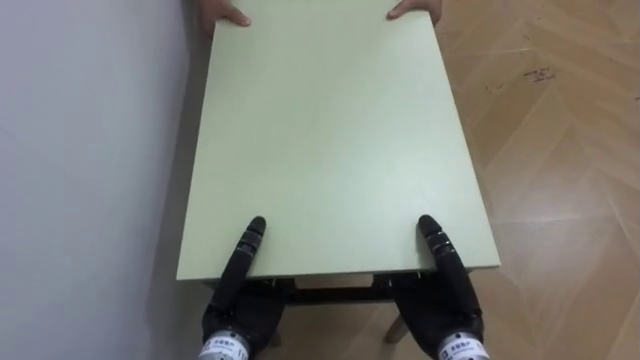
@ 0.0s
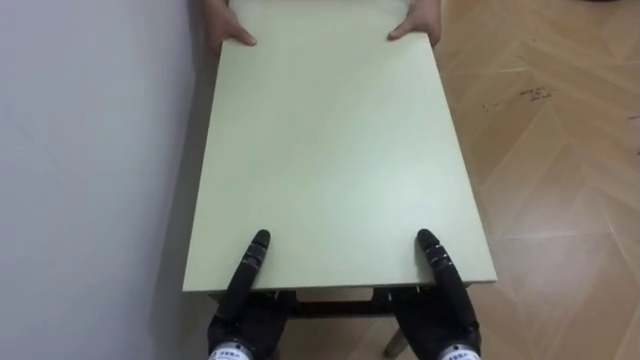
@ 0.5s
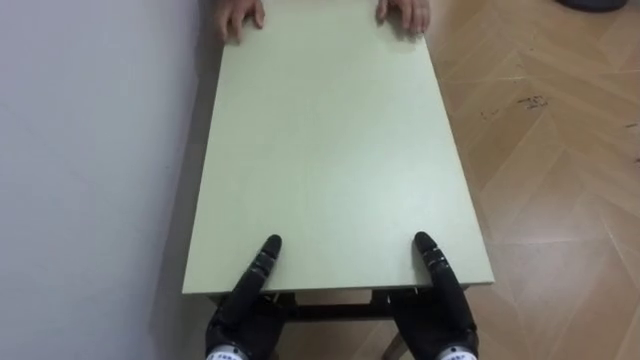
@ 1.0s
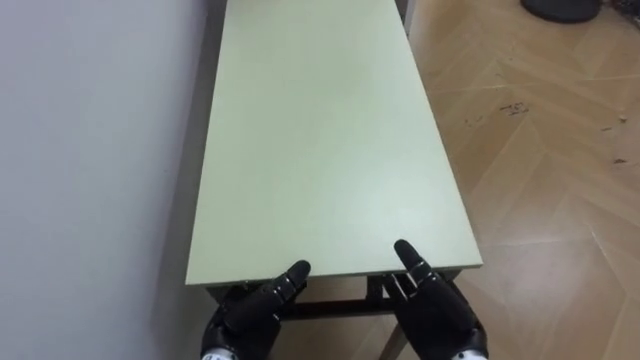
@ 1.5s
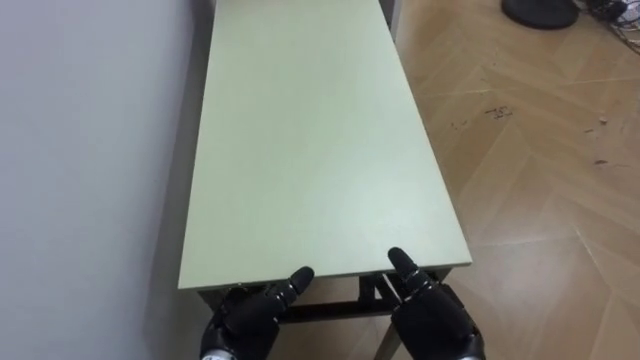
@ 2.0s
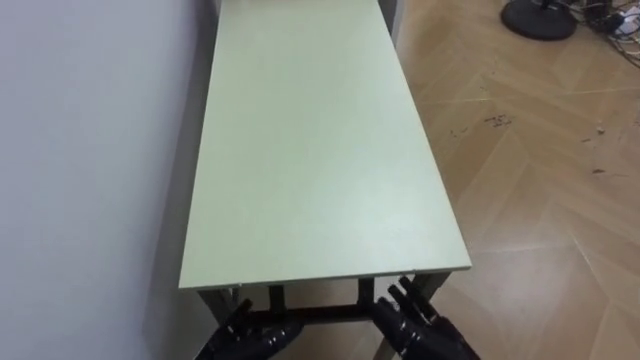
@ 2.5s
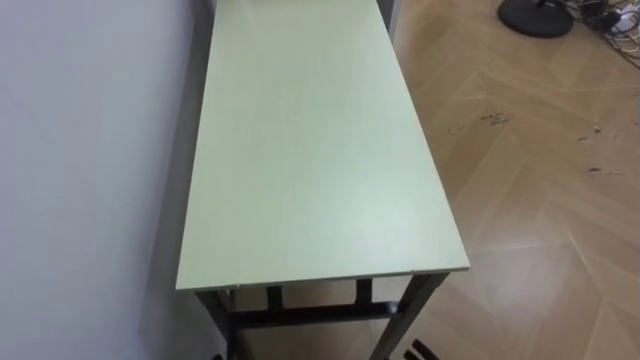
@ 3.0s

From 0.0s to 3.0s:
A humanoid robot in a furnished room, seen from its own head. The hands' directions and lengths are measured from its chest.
Task of the whole recording: Move the table to the back left with someone.
From 0.0s to 1.5s: The left hand opens. Meanwhile the right hand opens up.

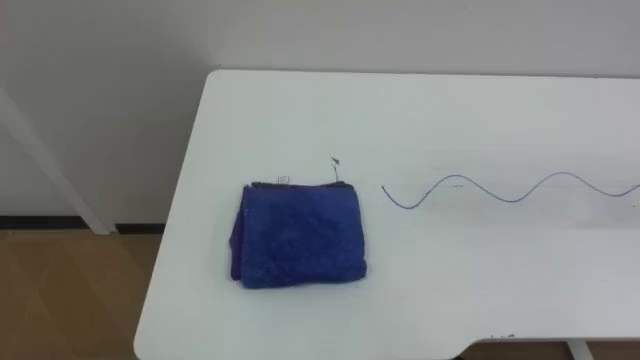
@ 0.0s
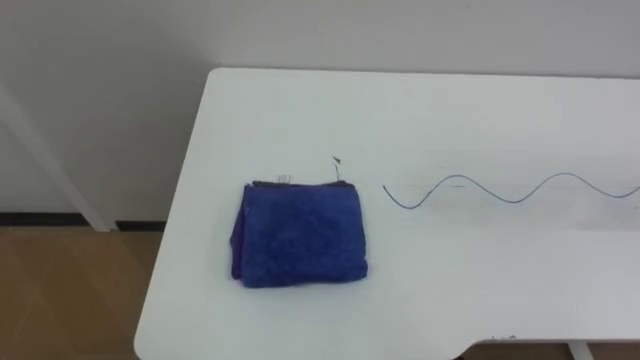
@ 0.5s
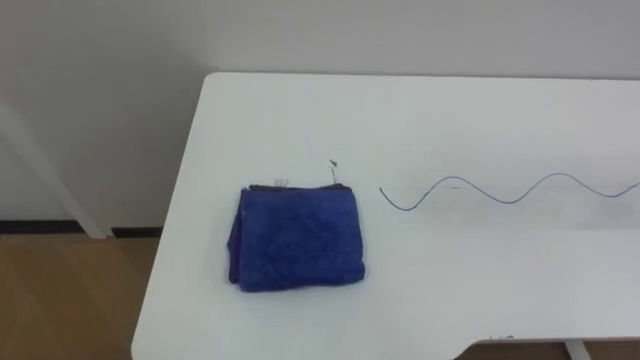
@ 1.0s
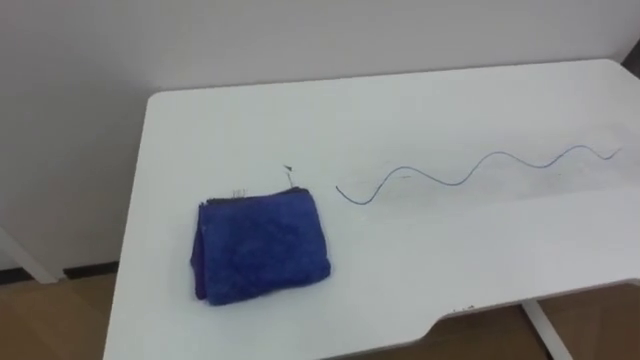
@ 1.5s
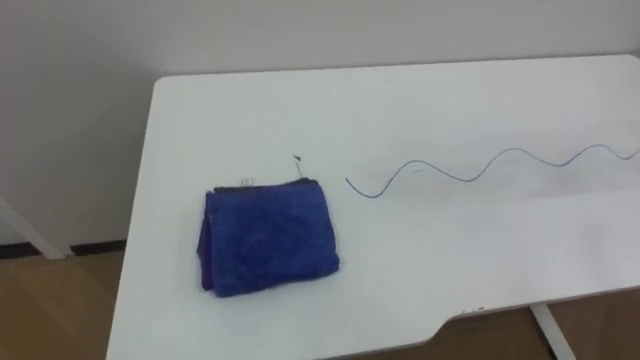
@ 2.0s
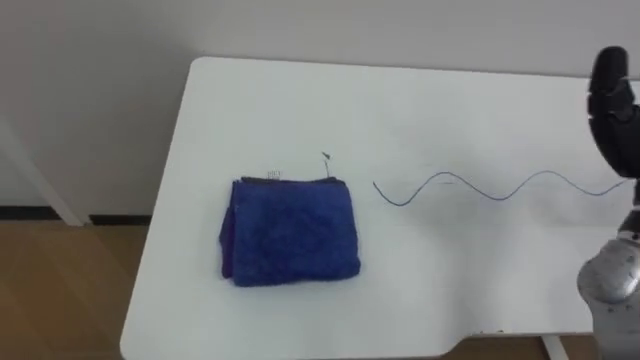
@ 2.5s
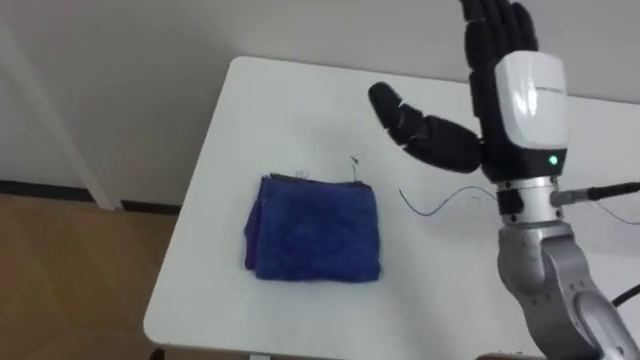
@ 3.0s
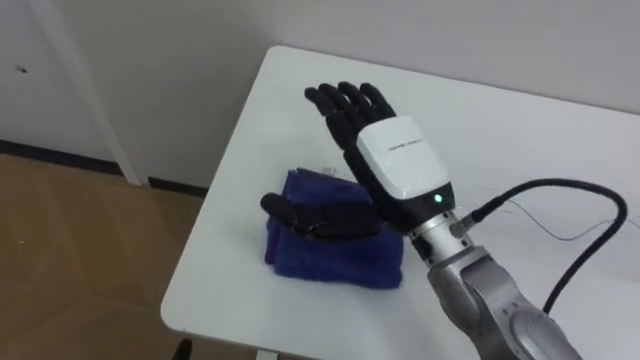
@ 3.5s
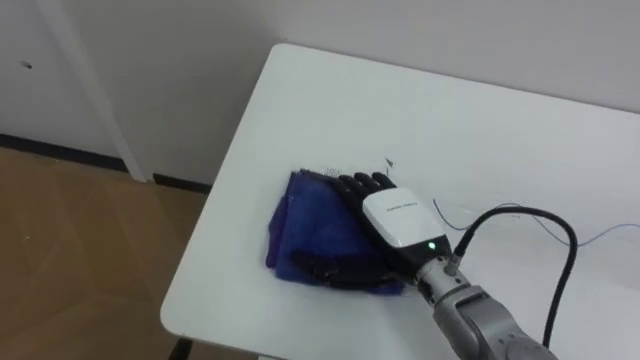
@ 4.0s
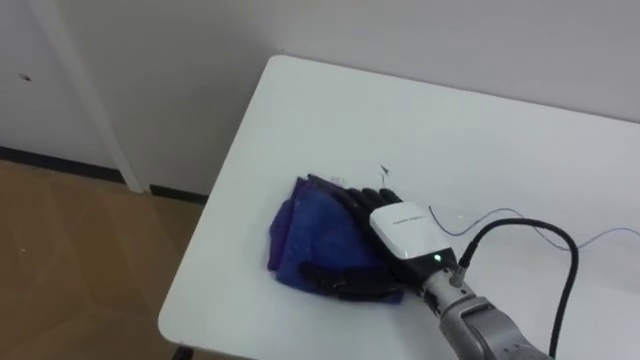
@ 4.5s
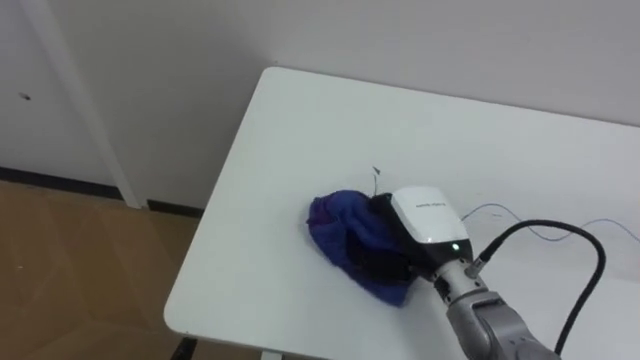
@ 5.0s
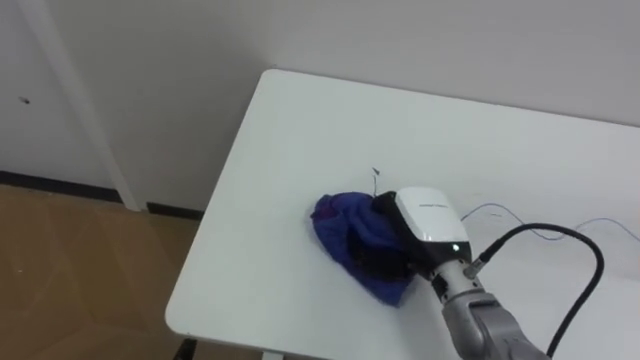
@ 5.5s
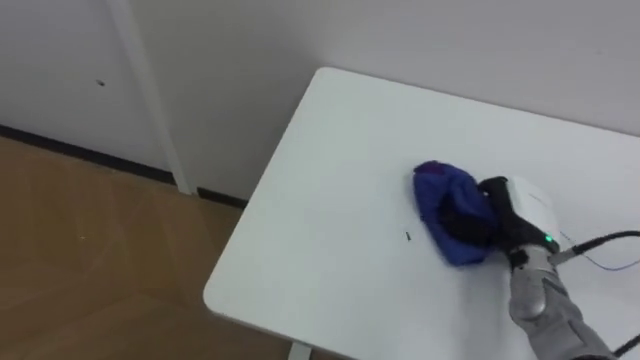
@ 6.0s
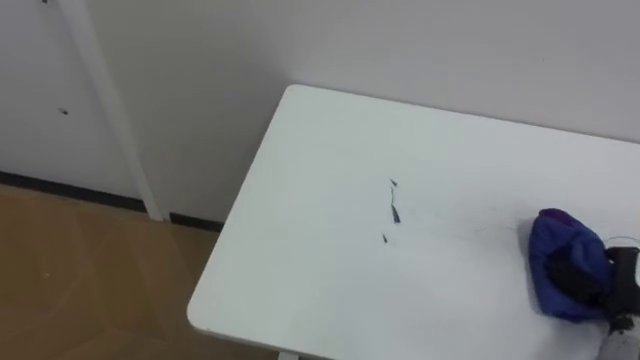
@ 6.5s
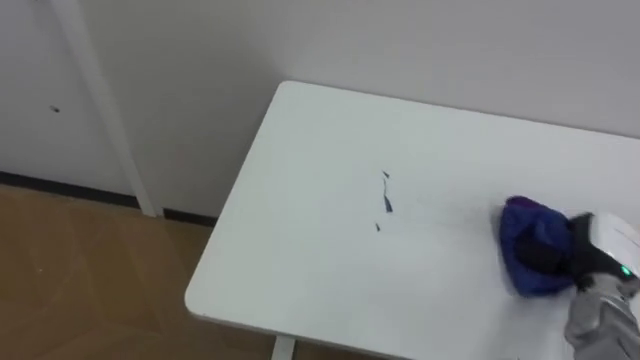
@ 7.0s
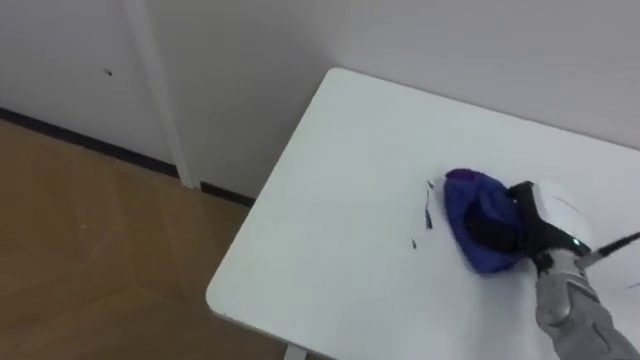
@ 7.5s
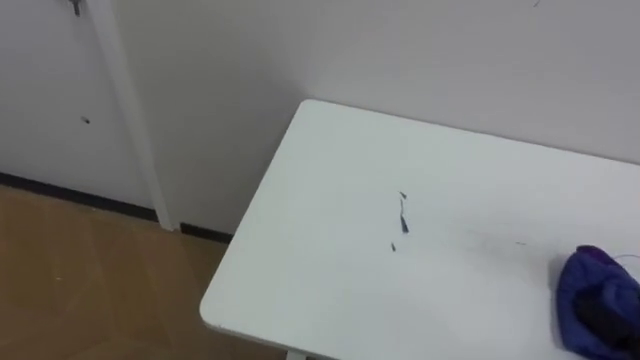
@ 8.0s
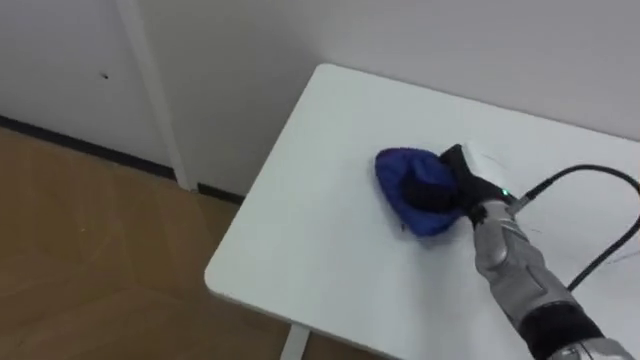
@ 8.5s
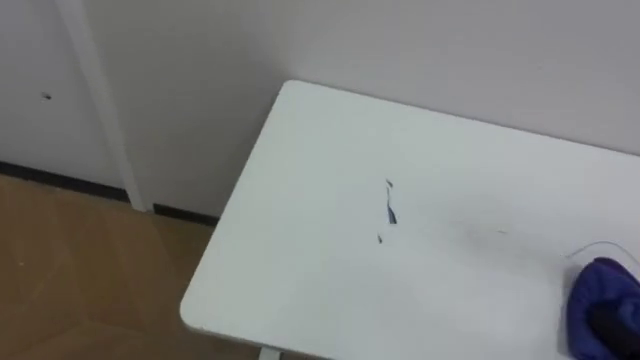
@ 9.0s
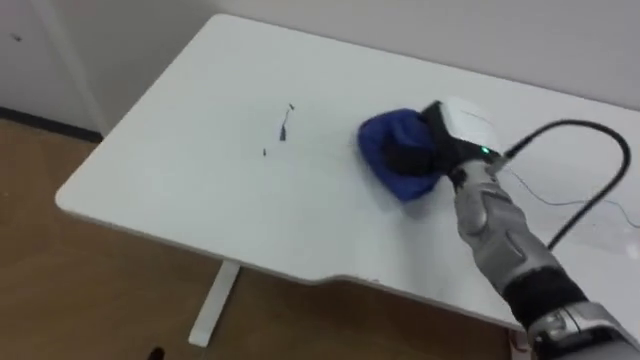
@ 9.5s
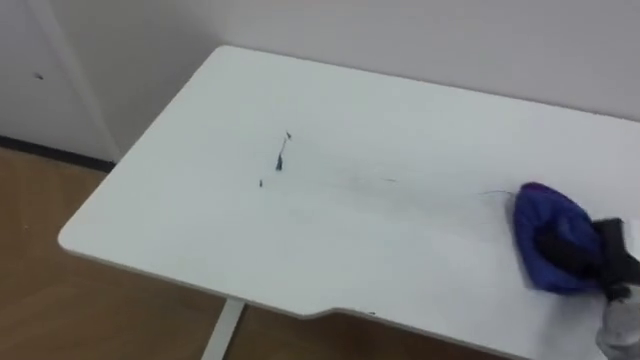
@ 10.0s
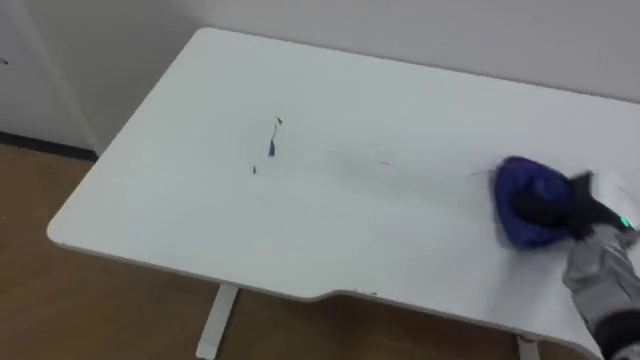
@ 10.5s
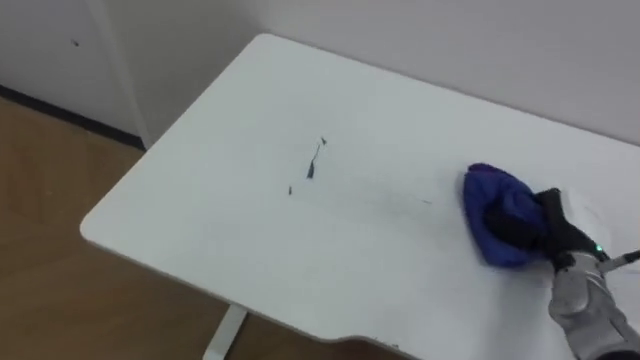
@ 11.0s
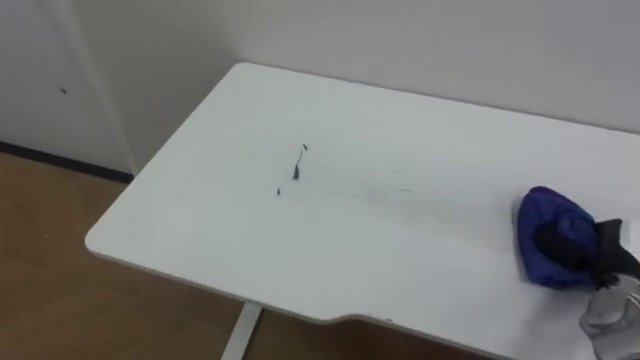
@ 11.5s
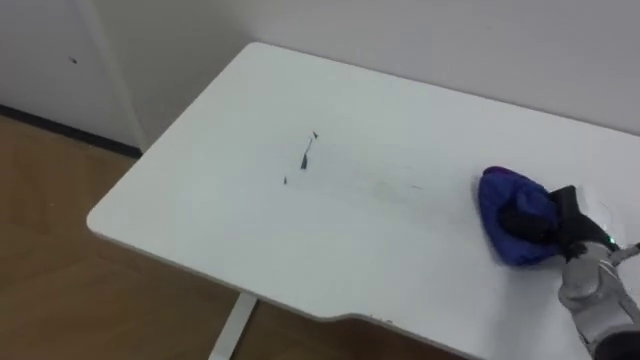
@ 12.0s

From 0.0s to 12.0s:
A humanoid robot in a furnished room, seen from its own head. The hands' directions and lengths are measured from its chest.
Task of the whole recording: Wipe the blue pen marks off the table with the rag.
From 4.0s to 6.0s: The right hand shifts roughly 15 cm to the right, and closes its fingers.

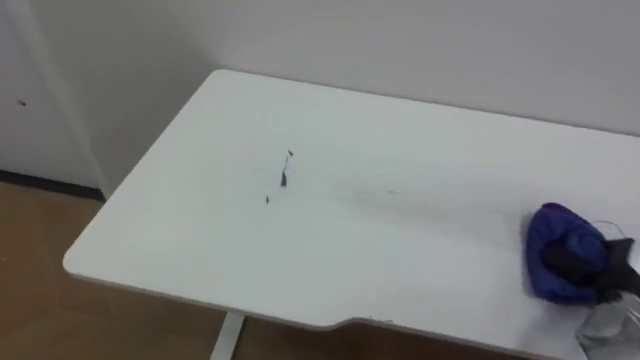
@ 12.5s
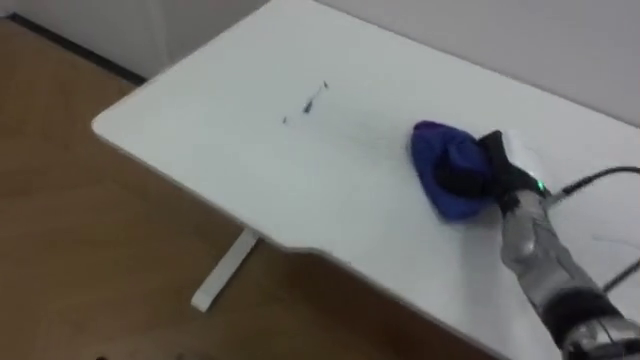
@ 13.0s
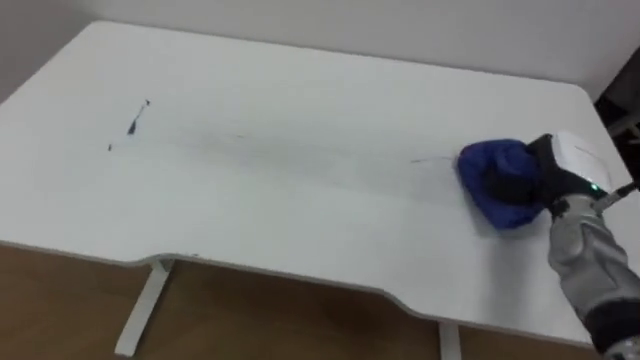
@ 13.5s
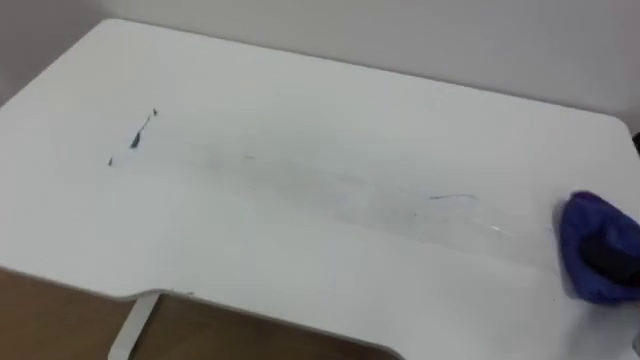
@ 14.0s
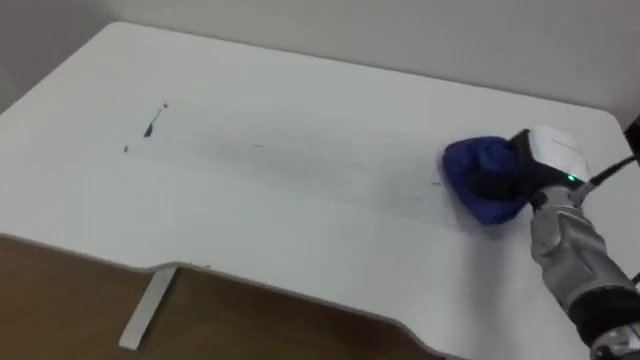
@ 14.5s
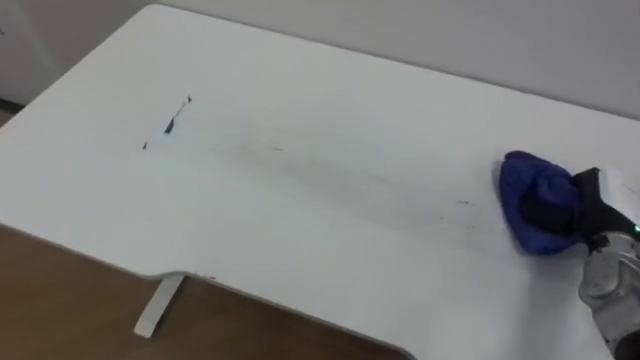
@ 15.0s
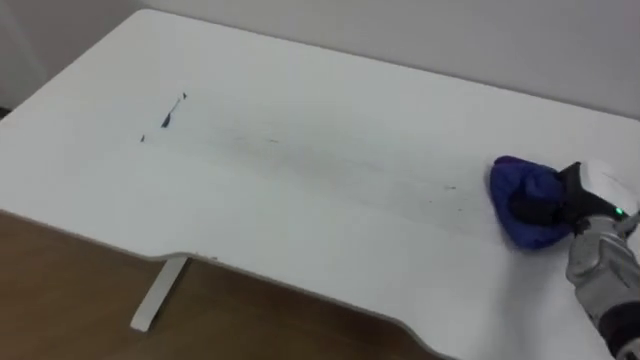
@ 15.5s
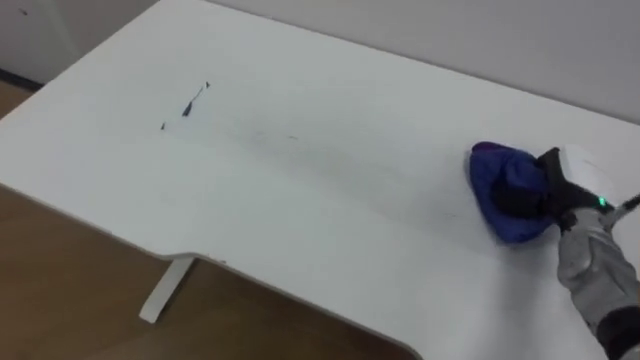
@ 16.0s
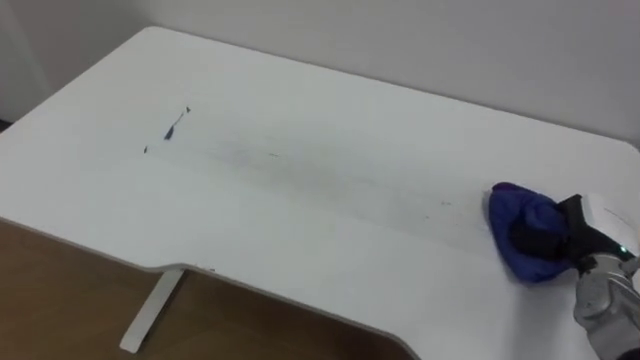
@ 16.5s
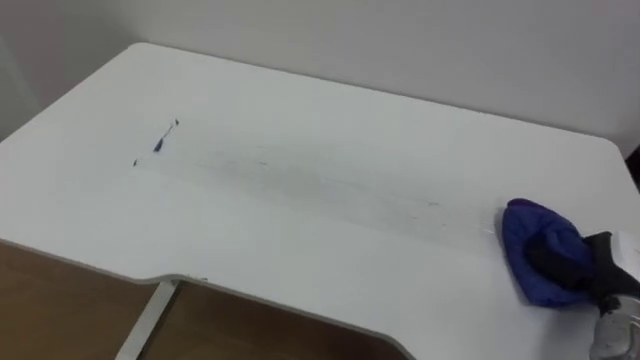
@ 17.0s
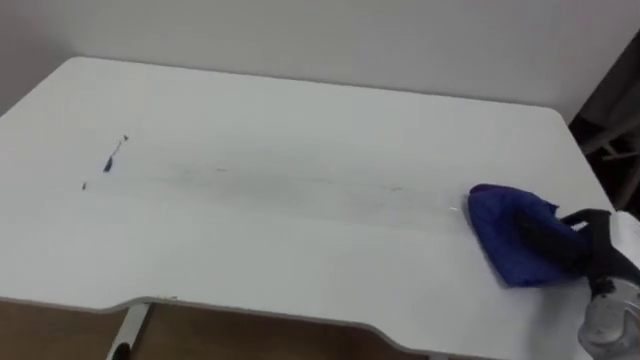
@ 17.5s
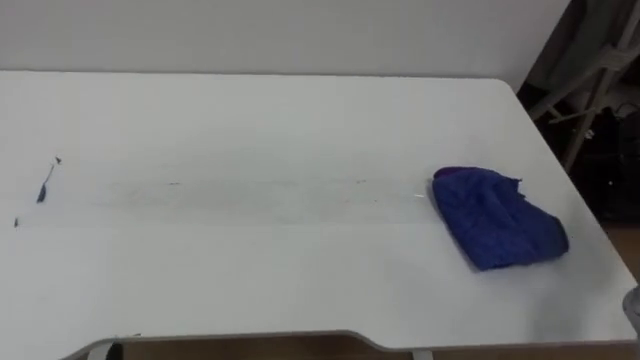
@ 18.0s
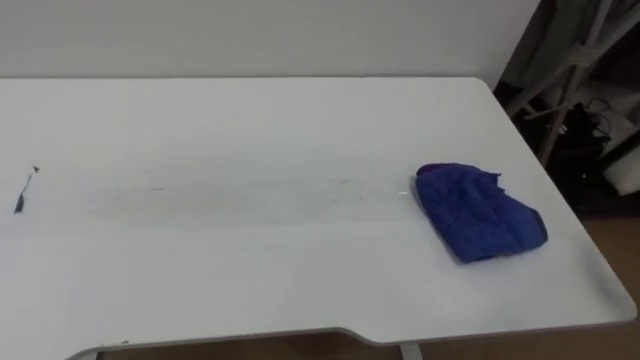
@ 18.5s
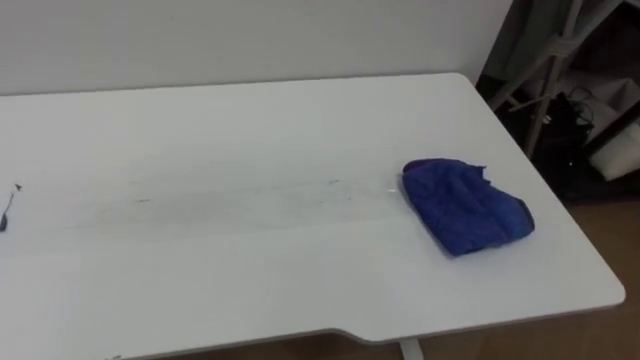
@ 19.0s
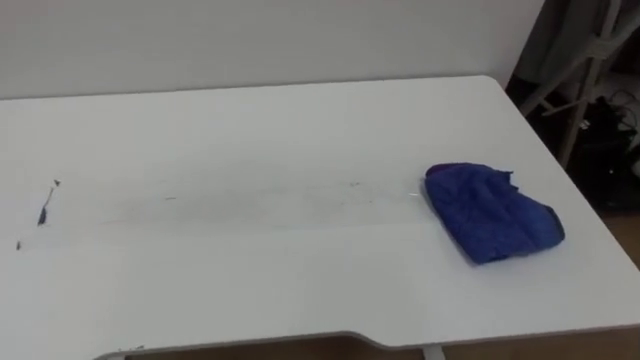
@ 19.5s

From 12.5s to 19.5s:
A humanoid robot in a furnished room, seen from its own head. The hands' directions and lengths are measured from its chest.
Task of the whole recording: Wipe the blue pen marks off the table with the rag.
From 16.0s to 17.5s: The right hand heads backward, covering about 10 cm.
